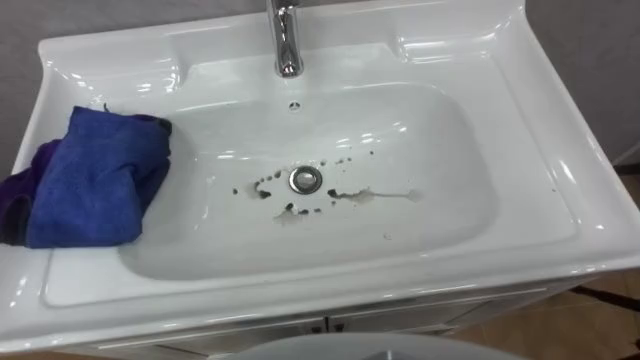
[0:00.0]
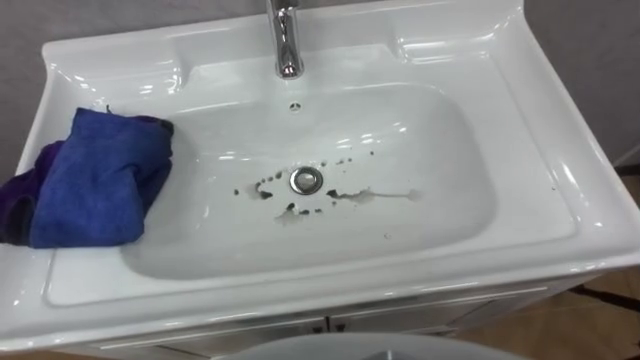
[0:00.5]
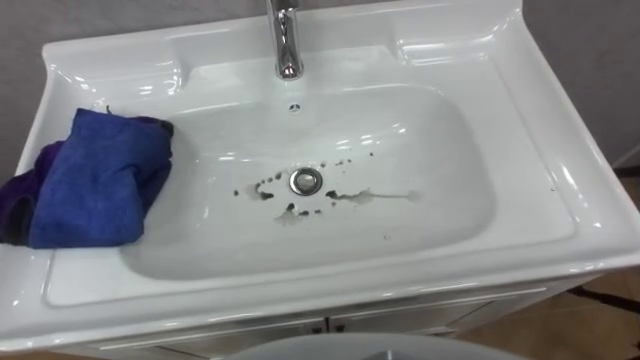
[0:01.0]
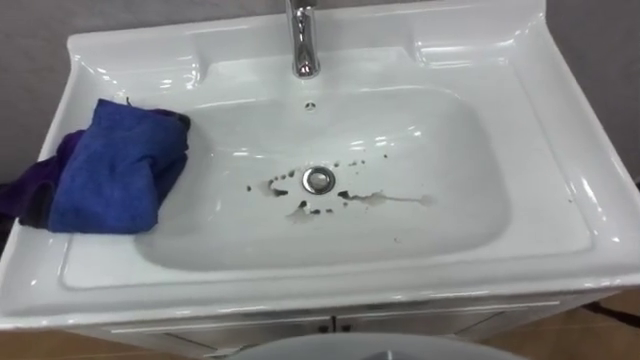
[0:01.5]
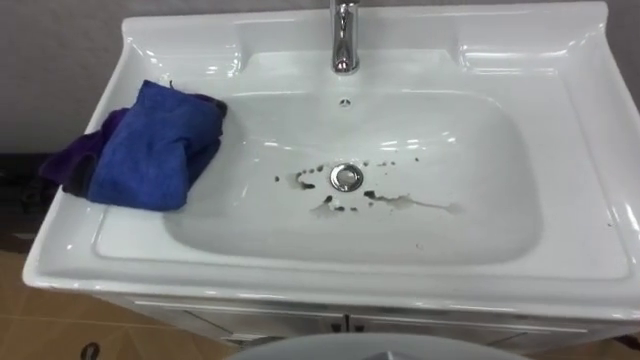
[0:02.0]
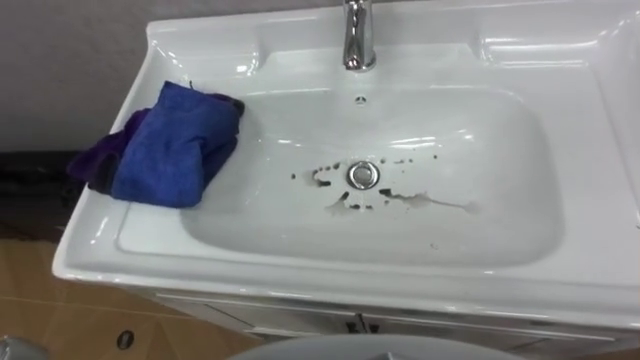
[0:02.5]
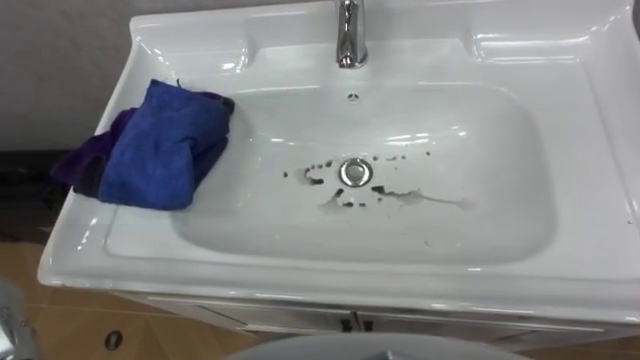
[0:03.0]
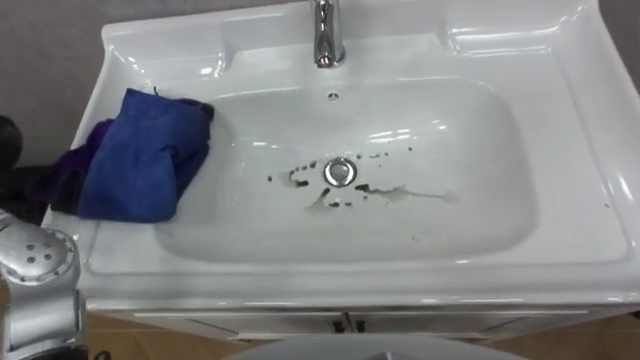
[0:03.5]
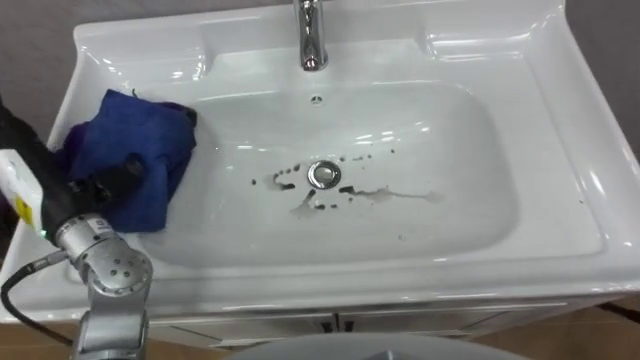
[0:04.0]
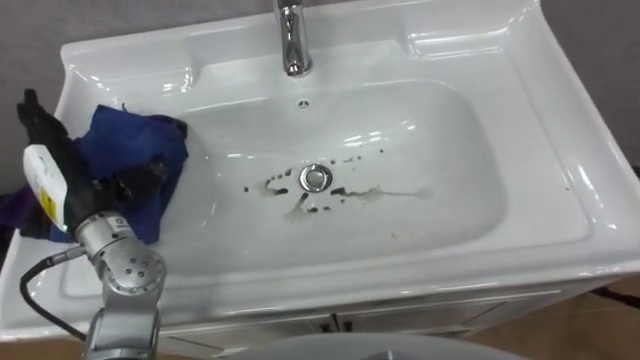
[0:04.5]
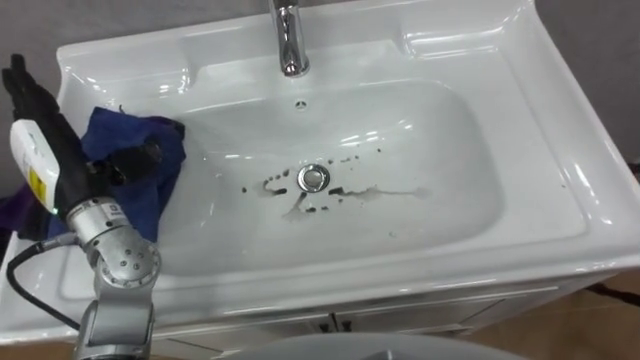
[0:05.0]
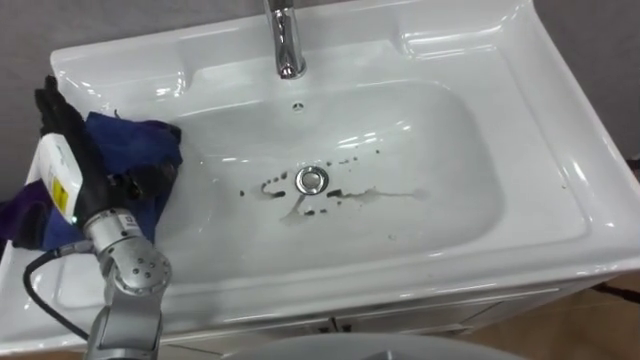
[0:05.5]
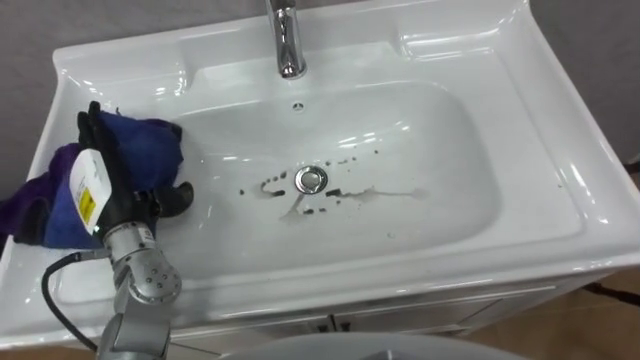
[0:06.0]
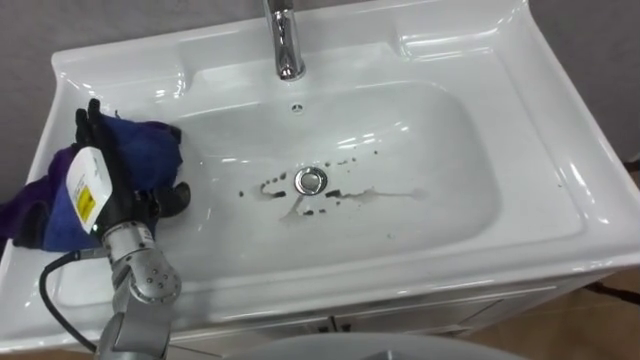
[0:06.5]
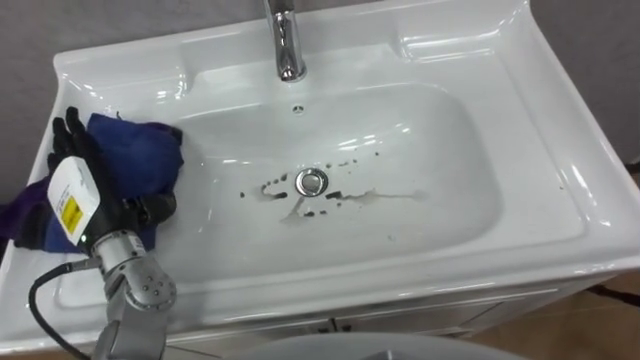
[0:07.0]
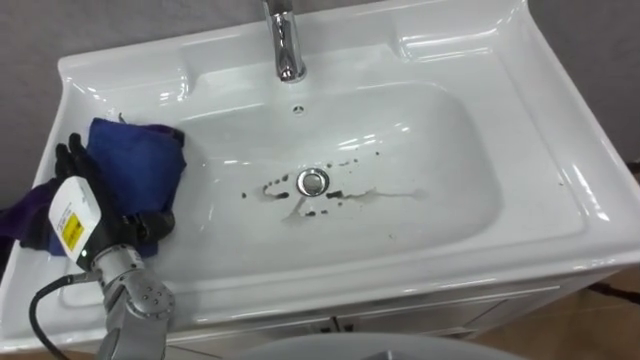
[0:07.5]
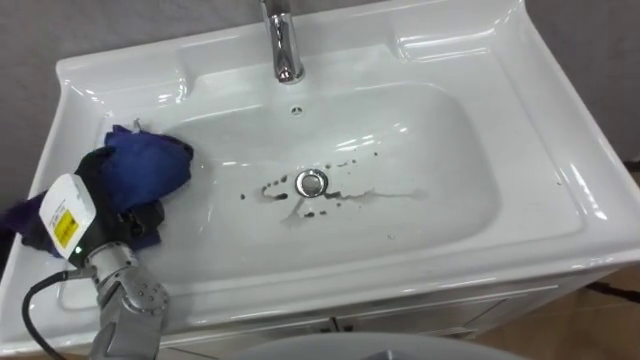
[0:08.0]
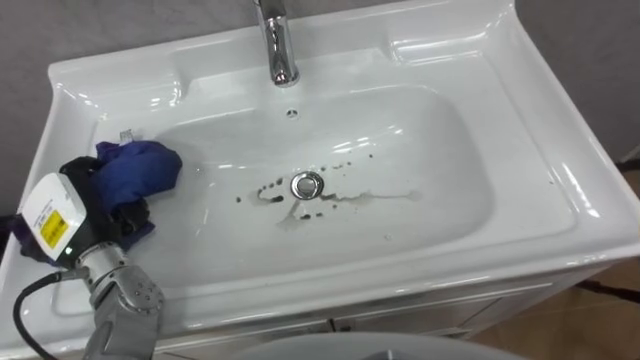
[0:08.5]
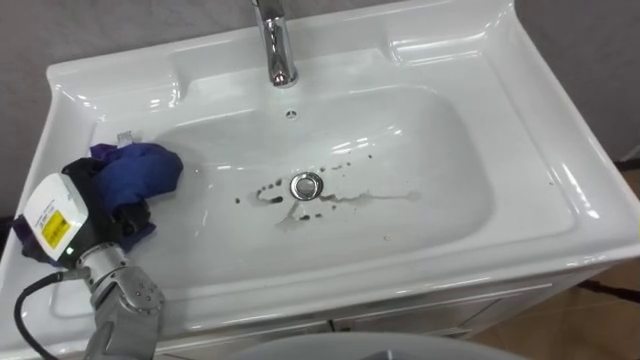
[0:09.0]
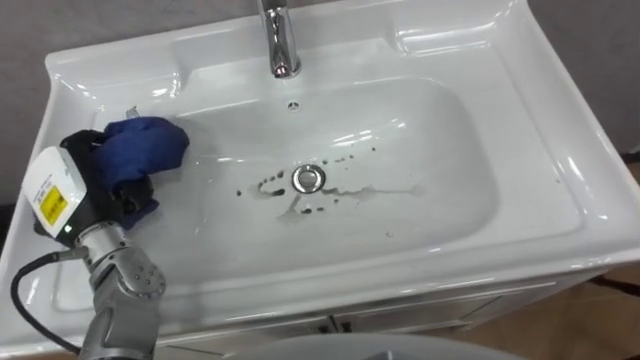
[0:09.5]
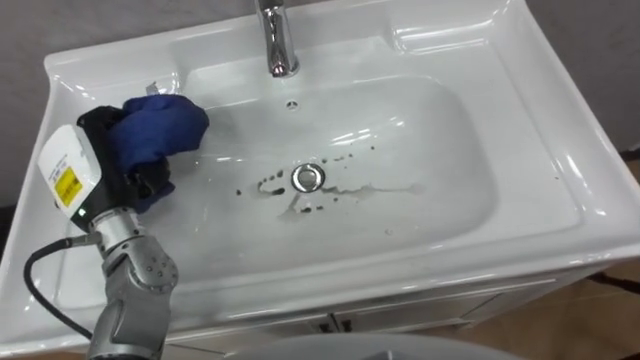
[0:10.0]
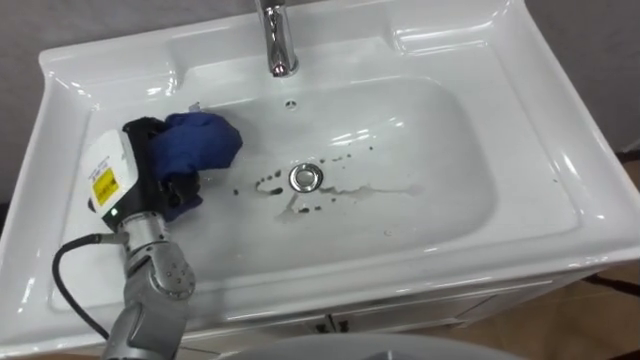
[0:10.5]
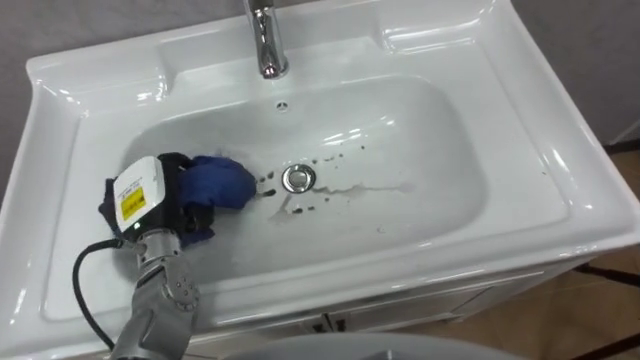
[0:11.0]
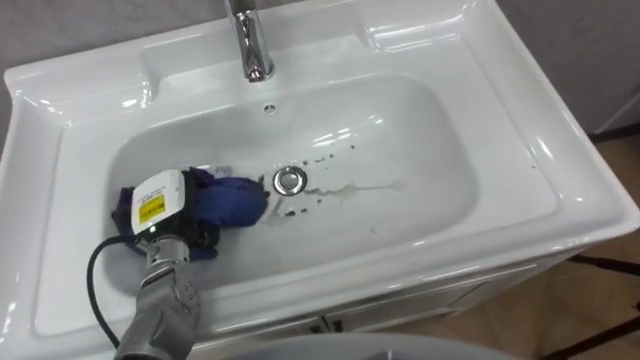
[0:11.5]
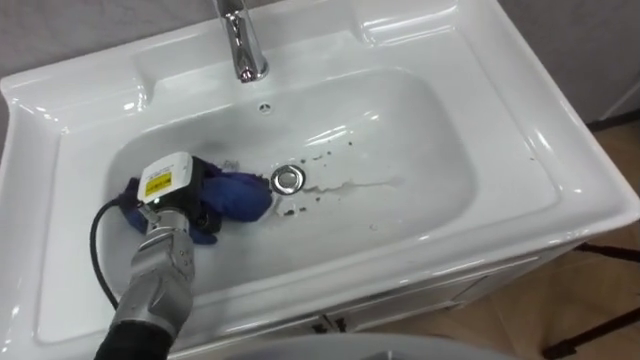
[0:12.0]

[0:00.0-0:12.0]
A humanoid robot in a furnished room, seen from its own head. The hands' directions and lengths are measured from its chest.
Task of the whole recording: Use the cloth on the right to wipe away the black stain in the sink.
0:04.0 to 0:06.0: The left hand shifts by approximately 5 cm.
0:06.0 to 0:08.0: The left hand closes up.
0:08.0 to 0:10.0: The left hand heads upward, covering about 5 cm, and closes up.
0:10.0 to 0:12.0: The left hand moves downward and to the right, roughly 10 cm.

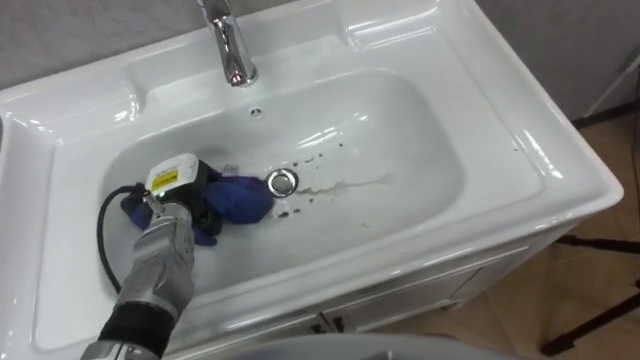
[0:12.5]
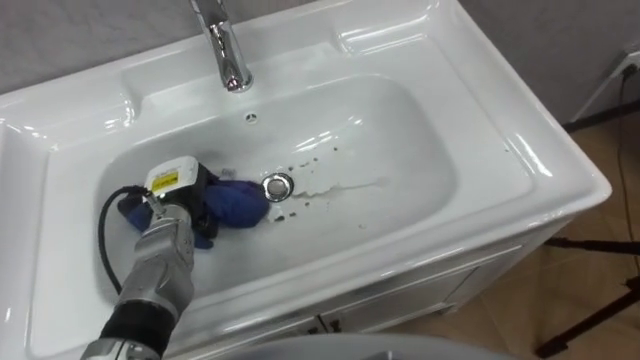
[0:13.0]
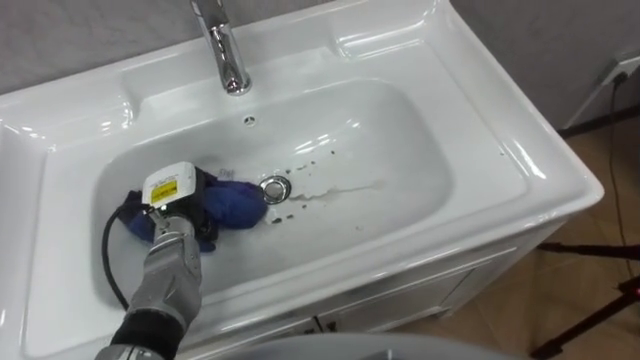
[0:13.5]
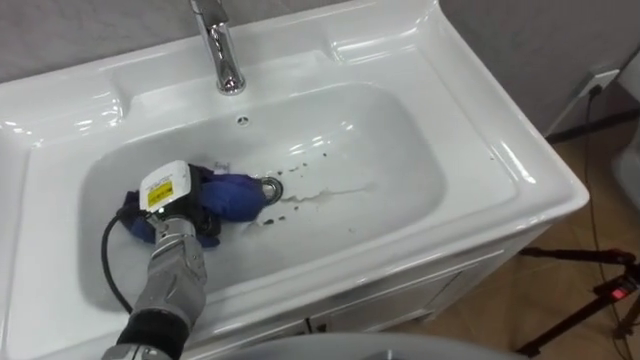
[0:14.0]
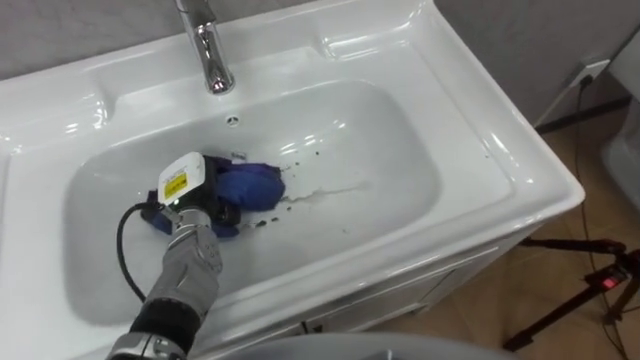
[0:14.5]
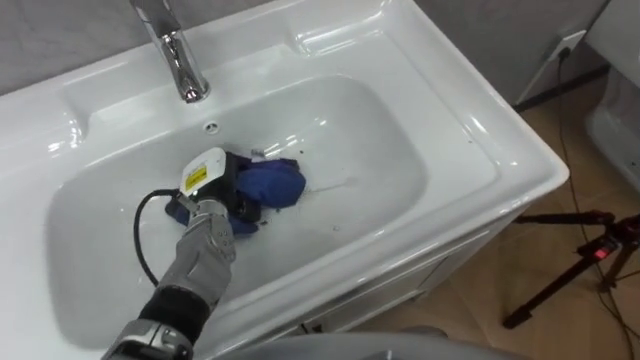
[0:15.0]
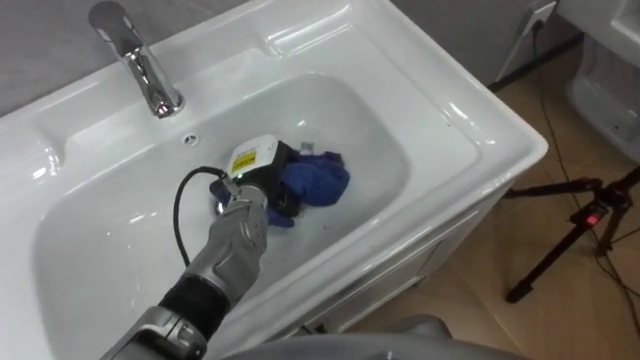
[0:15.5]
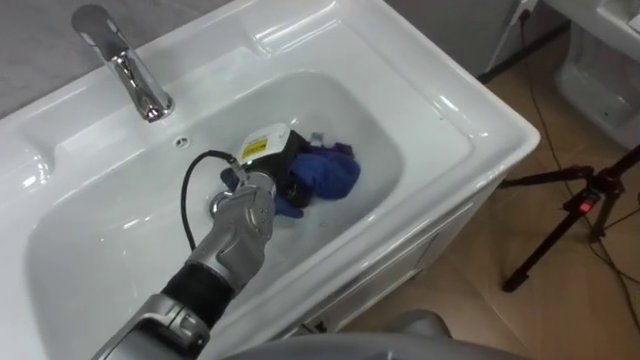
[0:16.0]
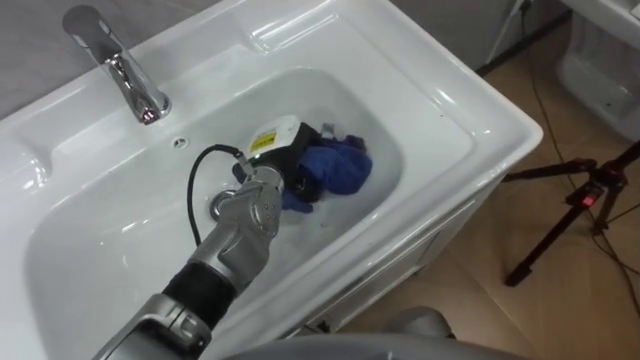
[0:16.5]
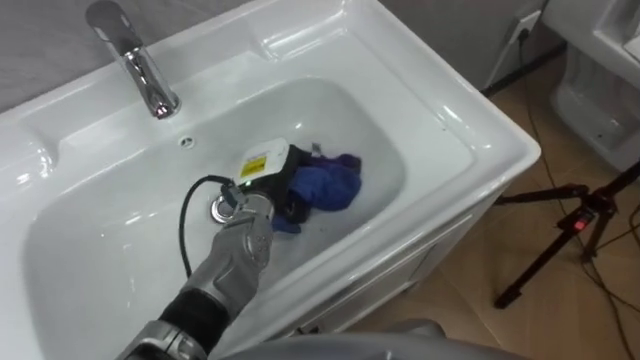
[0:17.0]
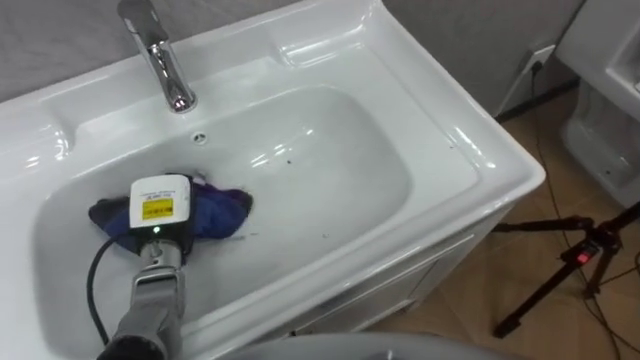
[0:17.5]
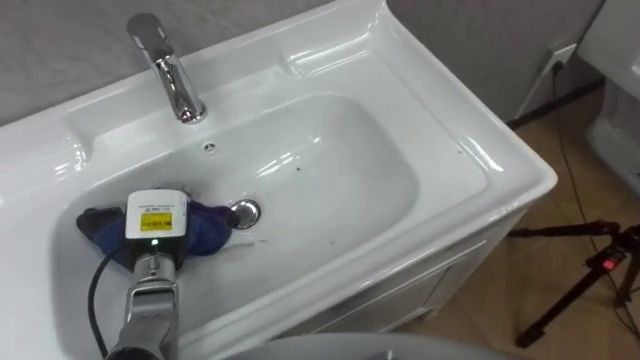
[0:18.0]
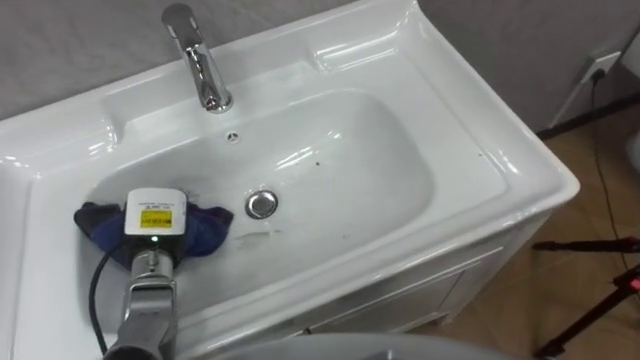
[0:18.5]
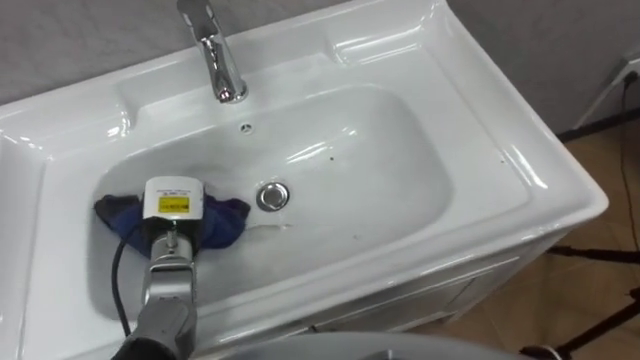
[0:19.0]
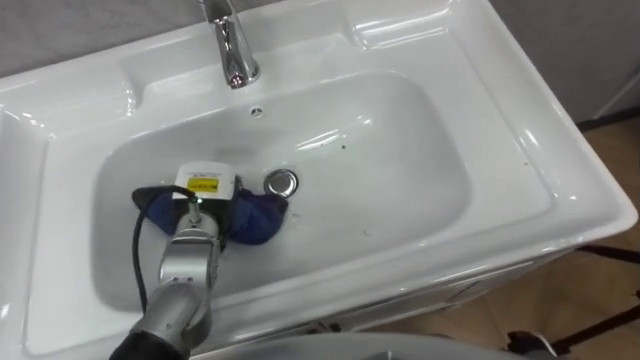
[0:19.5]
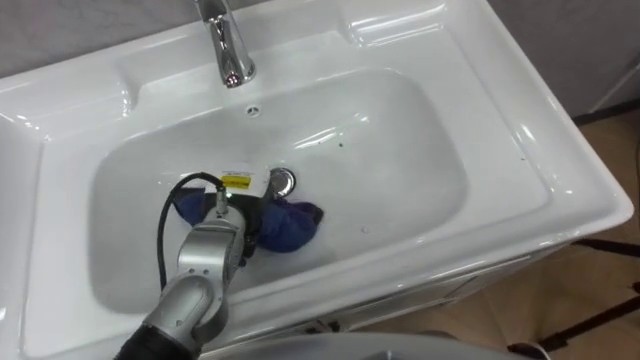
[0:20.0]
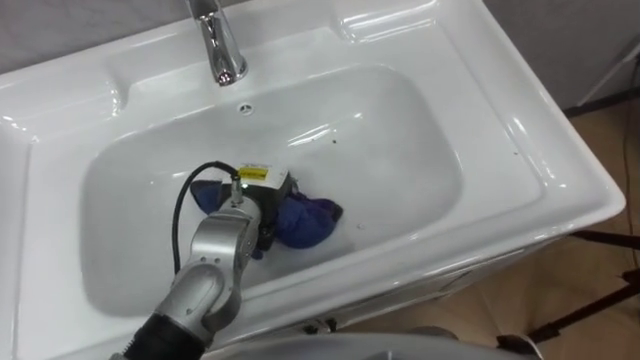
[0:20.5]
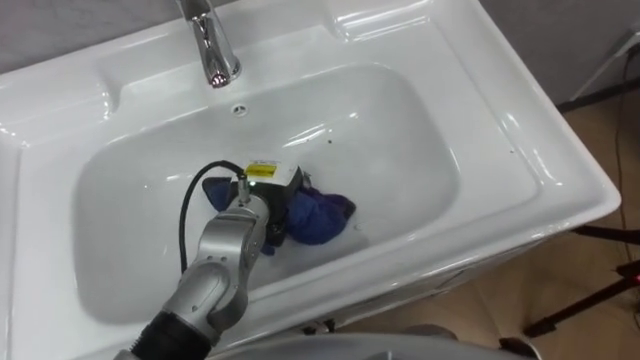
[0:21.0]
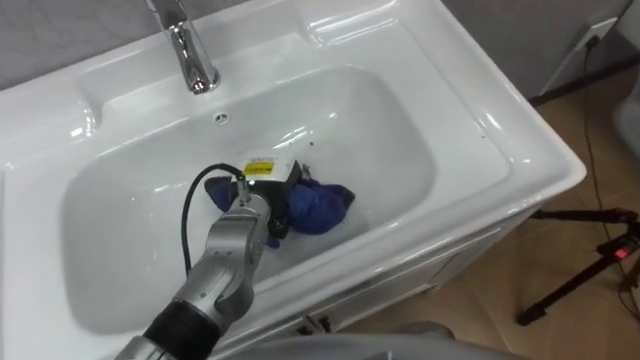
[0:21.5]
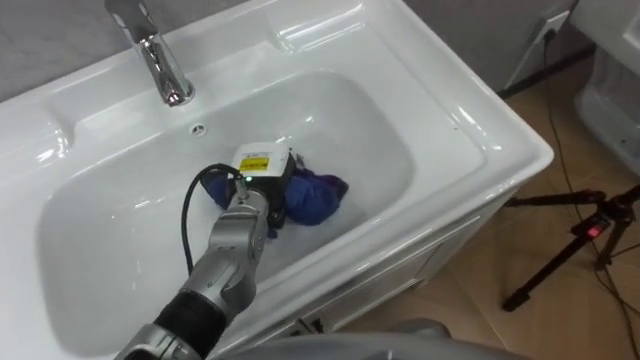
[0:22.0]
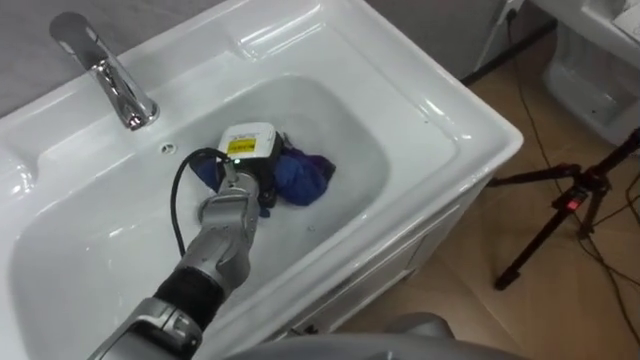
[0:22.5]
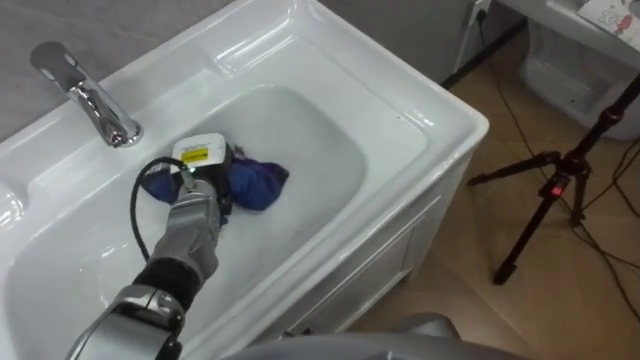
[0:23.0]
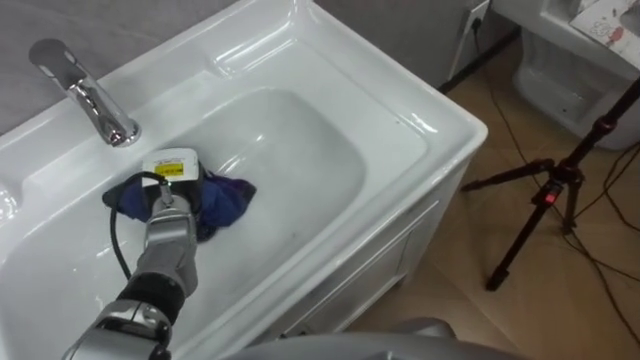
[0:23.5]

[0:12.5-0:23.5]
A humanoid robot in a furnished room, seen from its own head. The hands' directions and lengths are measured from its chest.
Task of the whole recording: Use the cloth on the right to wipe away the black stain in the sink.
0:14.5 to 0:16.0: The left hand travels to the right by about 10 cm.
0:16.0 to 0:18.0: The left hand travels to the left and backward by some 20 cm.
0:18.0 to 0:20.0: The left hand heads to the right and upward, covering approximately 15 cm.
0:21.5 to 0:23.5: The left hand goes roughly 15 cm to the left.
